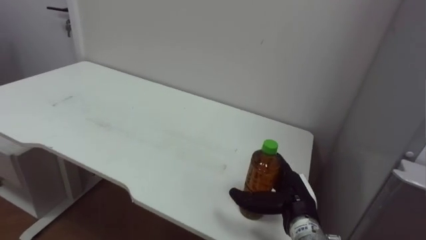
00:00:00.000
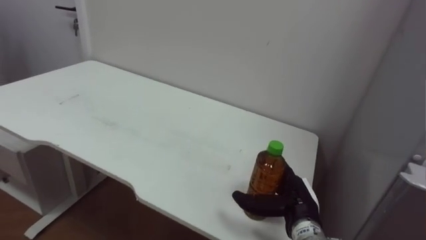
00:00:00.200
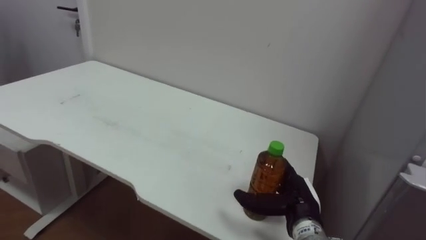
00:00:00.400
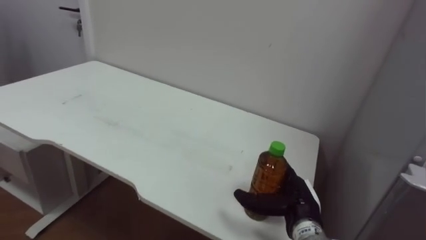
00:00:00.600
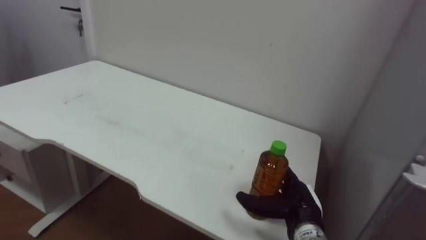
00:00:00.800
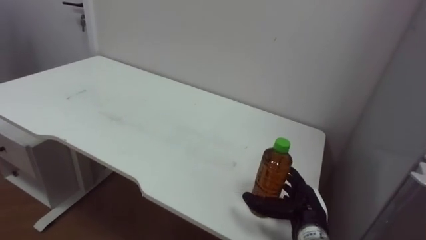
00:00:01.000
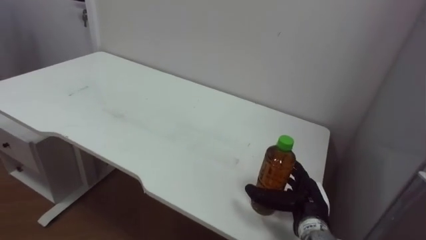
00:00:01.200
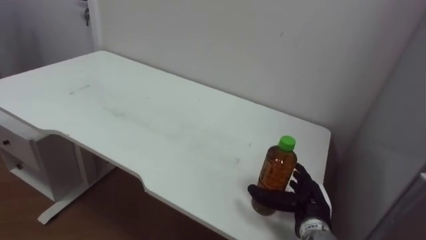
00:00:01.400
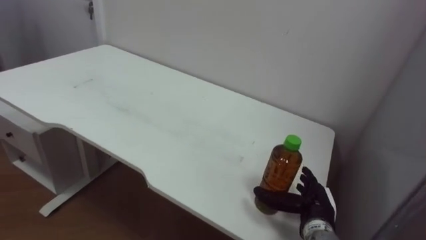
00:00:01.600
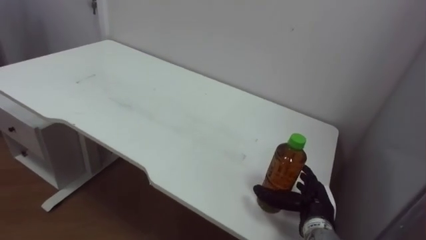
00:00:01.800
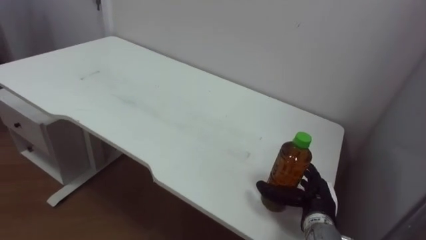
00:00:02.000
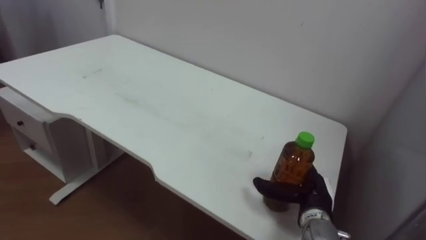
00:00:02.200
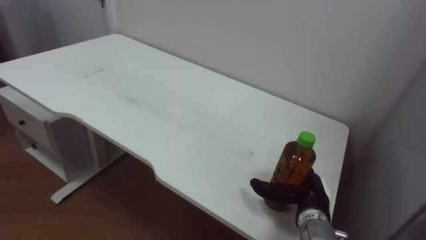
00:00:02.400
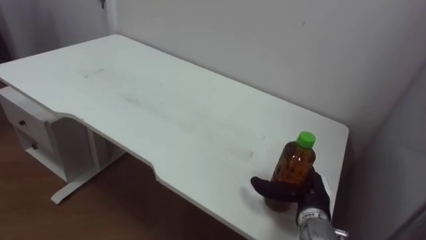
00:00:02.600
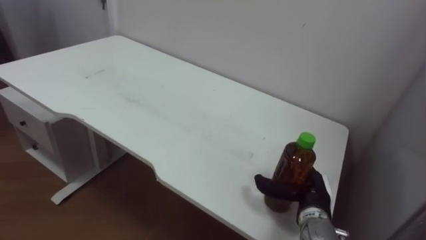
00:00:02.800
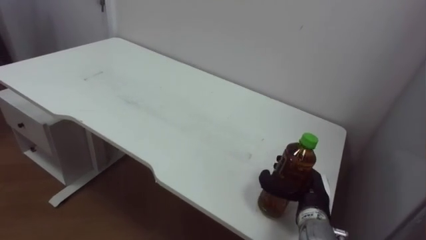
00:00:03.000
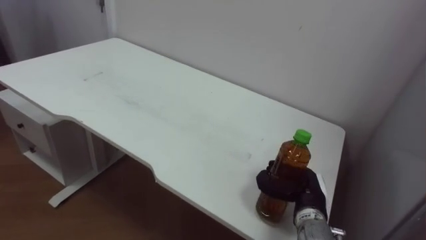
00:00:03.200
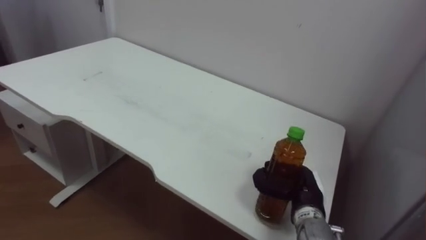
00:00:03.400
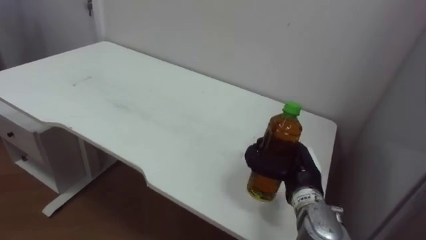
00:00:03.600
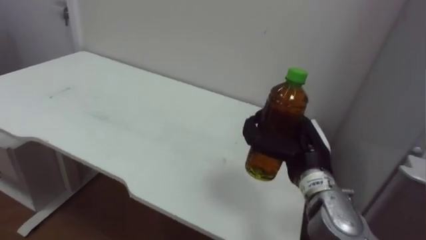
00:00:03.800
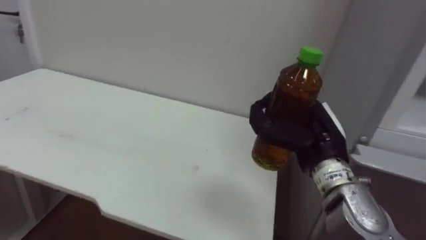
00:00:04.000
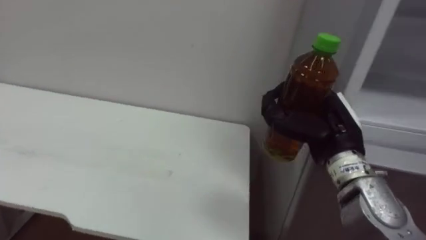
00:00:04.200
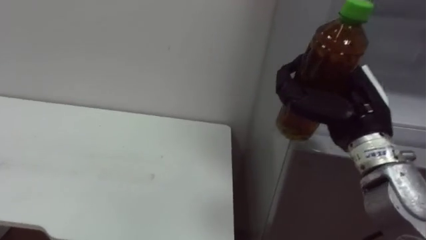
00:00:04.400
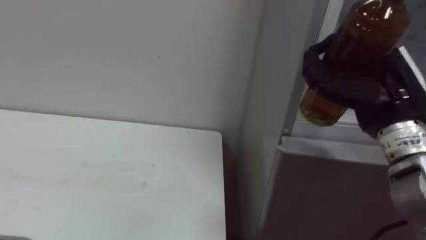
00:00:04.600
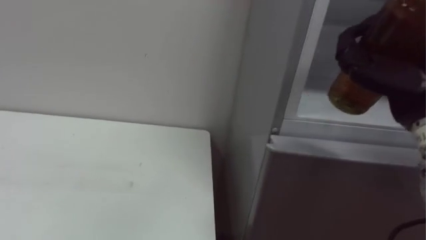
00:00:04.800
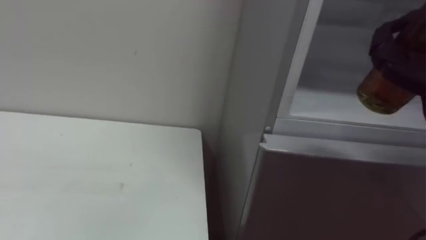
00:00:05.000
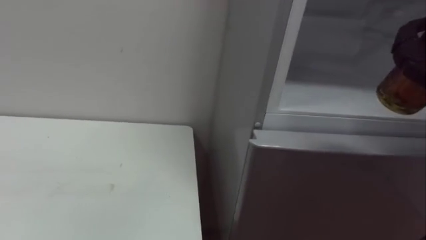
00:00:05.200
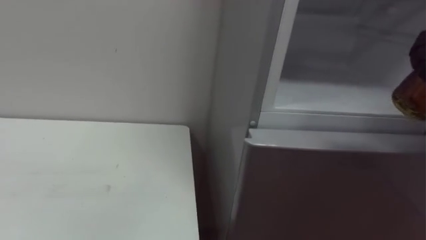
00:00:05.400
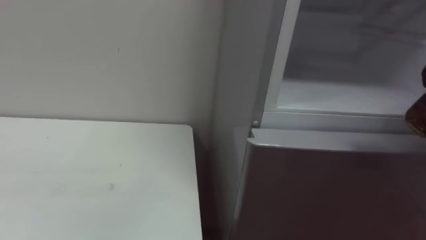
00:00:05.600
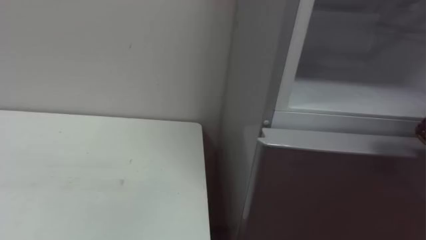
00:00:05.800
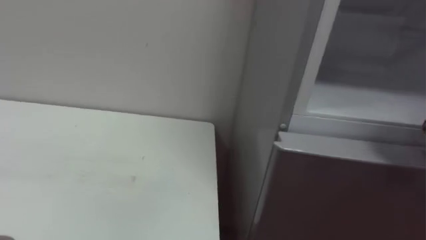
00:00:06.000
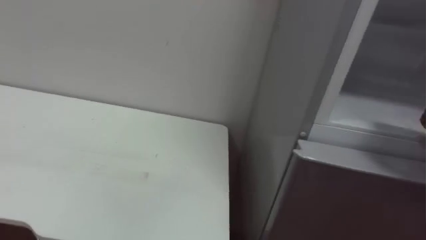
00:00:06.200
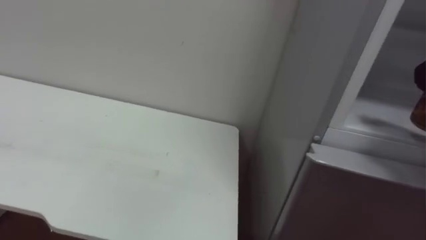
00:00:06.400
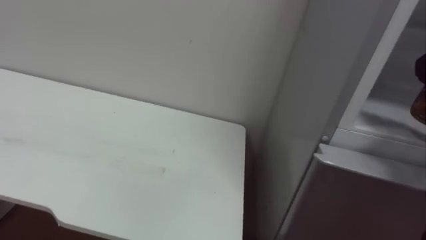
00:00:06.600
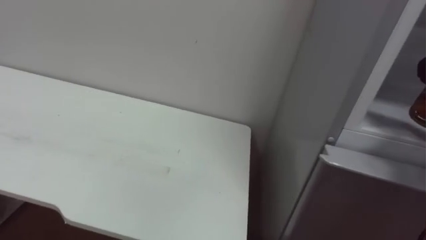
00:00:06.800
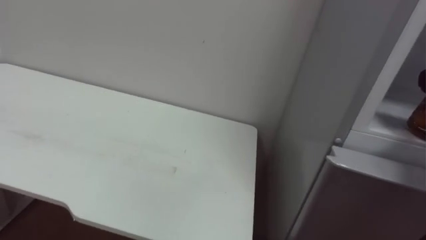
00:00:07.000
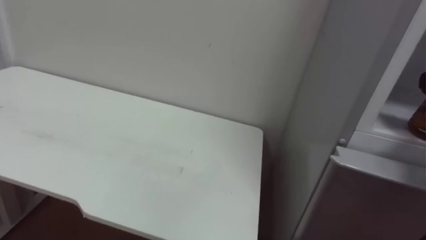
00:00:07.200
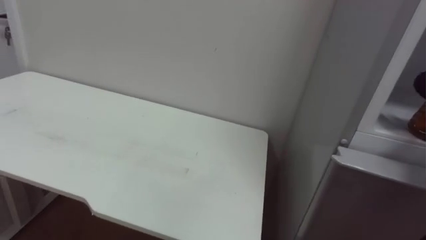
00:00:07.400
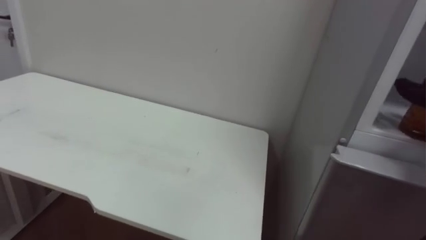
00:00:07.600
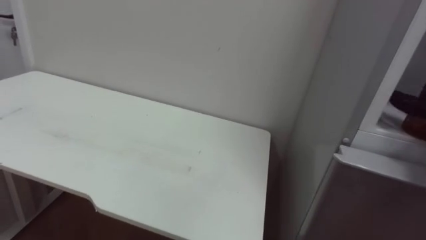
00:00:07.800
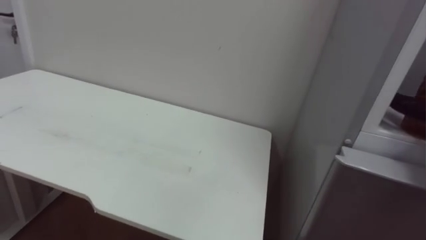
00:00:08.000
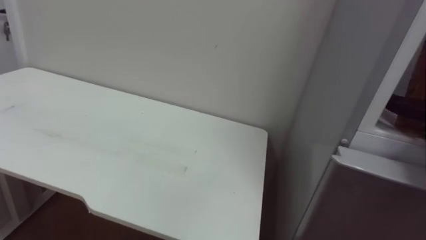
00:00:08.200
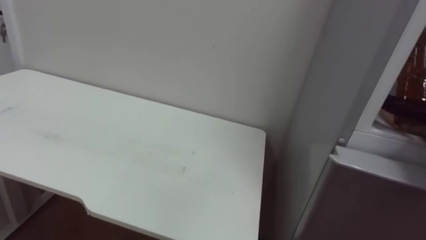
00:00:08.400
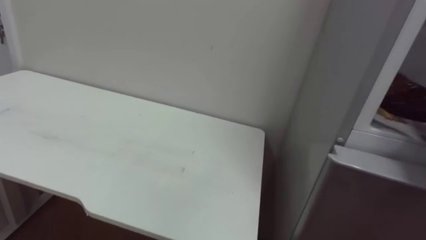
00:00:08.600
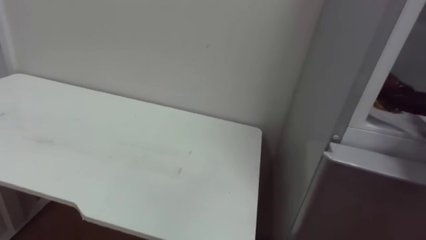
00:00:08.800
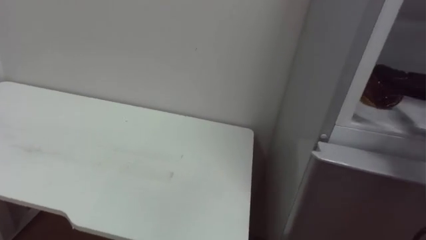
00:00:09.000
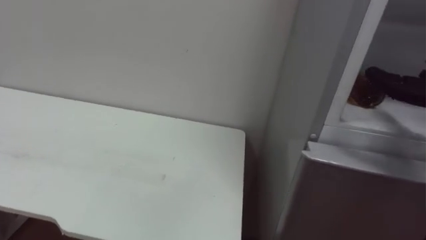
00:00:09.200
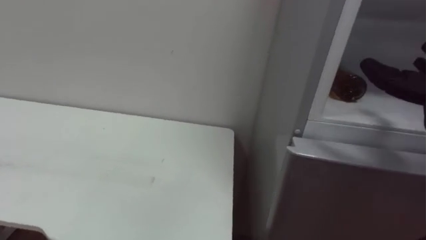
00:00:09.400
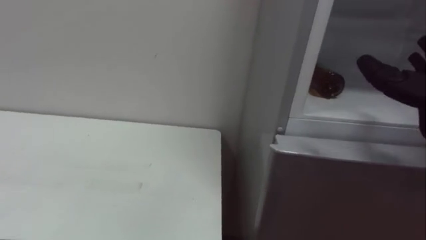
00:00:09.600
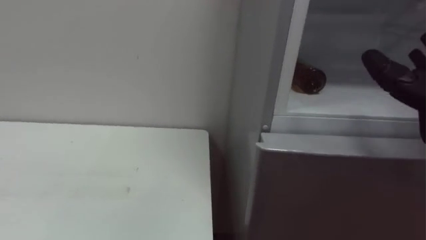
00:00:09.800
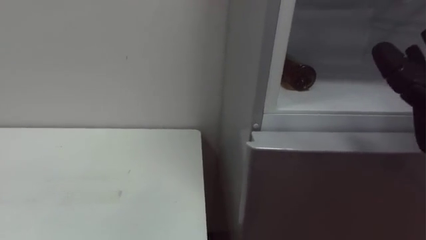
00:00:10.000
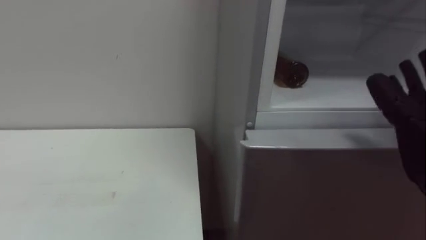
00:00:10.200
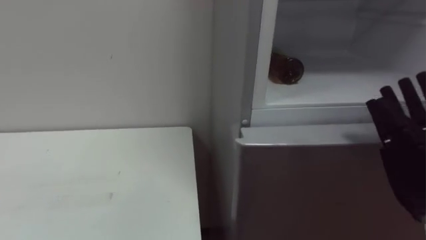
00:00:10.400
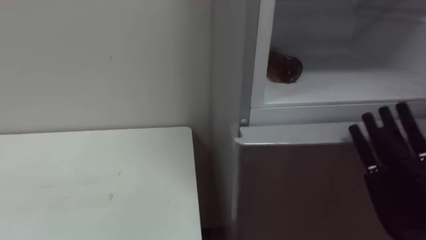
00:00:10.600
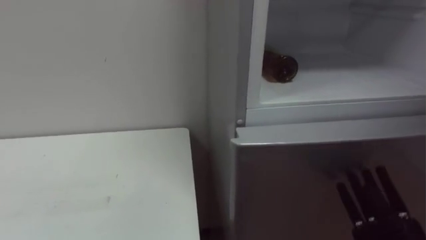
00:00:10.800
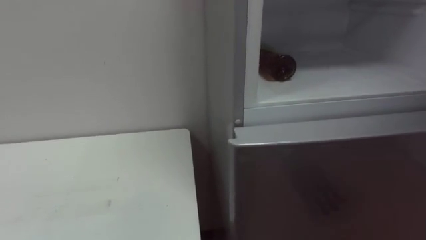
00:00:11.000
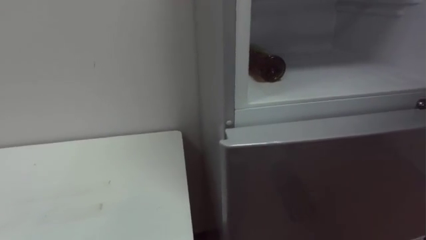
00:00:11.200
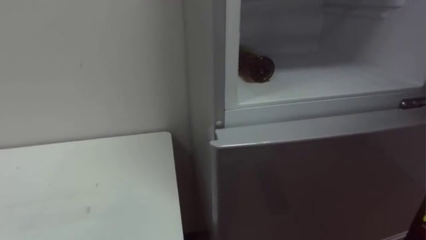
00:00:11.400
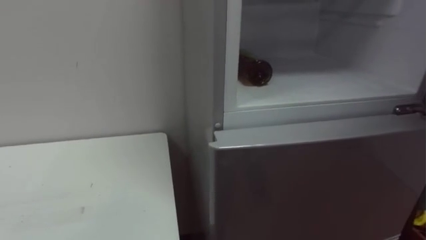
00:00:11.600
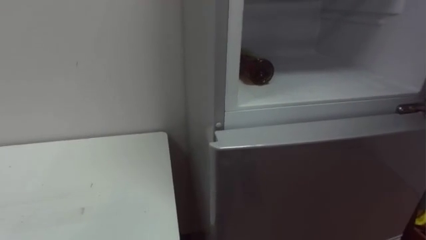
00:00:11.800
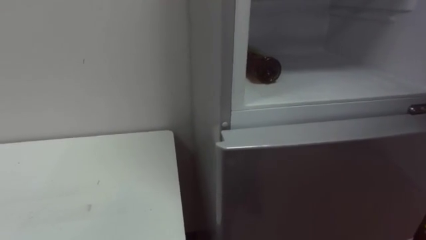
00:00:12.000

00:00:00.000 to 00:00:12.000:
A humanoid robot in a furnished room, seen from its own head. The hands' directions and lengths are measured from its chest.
Task of the whole recording: Open the upper refrigerator door, put the drink from the table into the refrigerator, and then close the refrigerator door.
00:00:03.000 to 00:00:04.400: The right hand moves upward, some 20 cm, and closes its fingers.

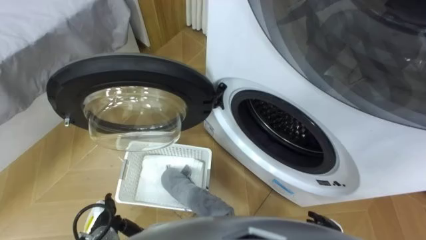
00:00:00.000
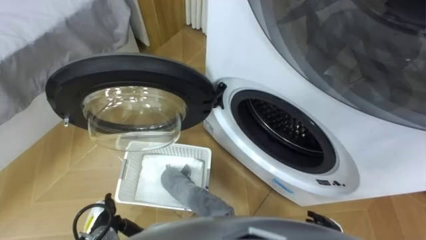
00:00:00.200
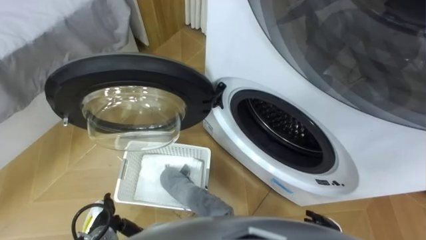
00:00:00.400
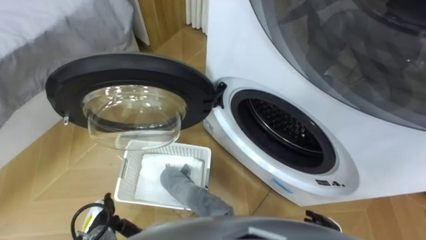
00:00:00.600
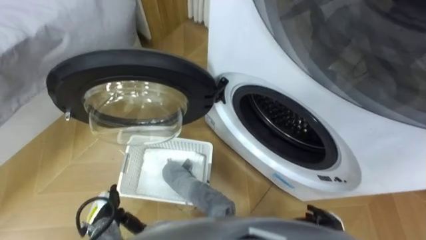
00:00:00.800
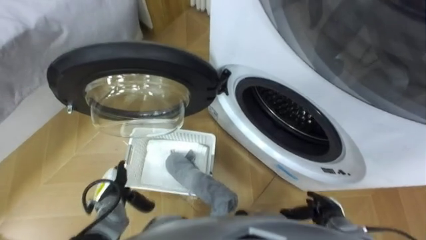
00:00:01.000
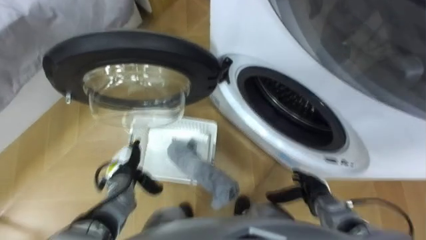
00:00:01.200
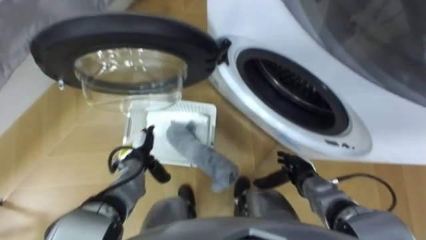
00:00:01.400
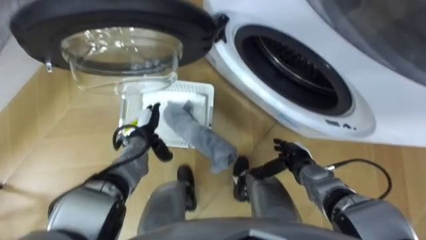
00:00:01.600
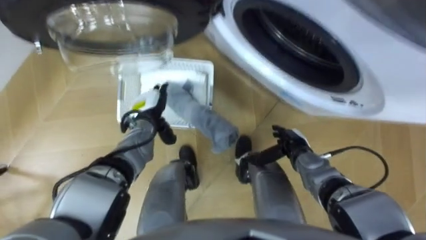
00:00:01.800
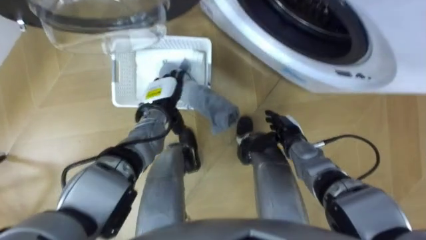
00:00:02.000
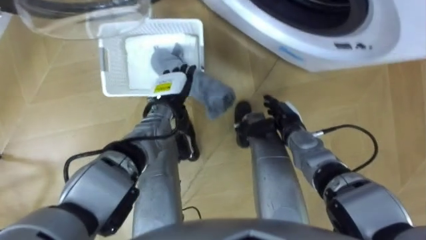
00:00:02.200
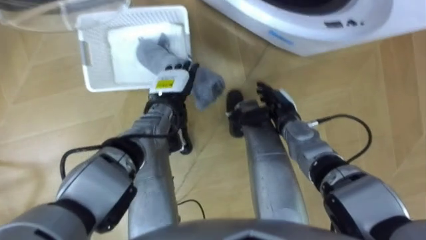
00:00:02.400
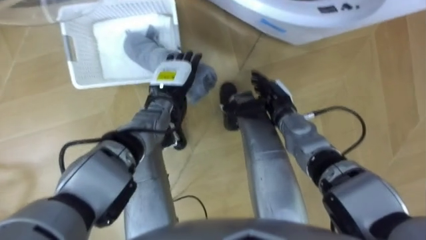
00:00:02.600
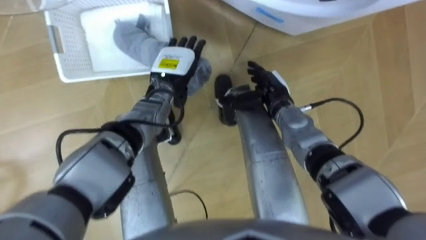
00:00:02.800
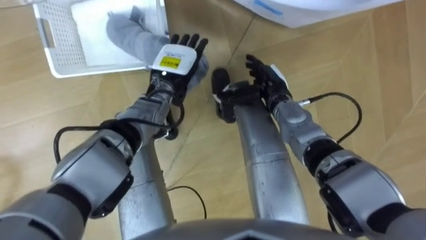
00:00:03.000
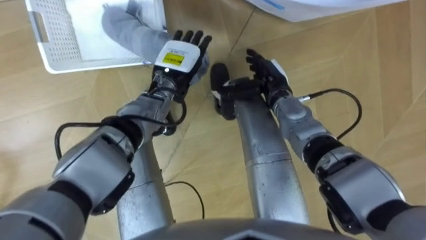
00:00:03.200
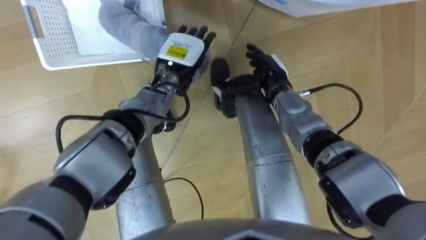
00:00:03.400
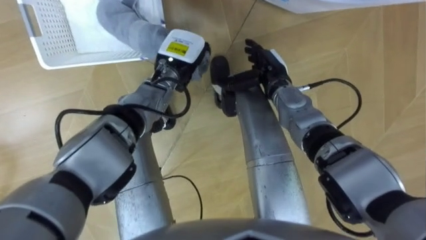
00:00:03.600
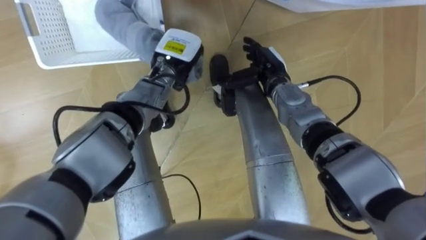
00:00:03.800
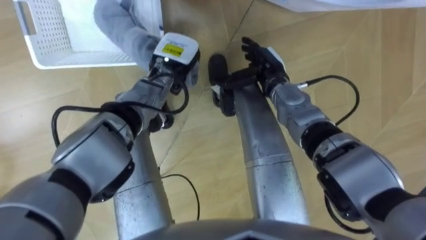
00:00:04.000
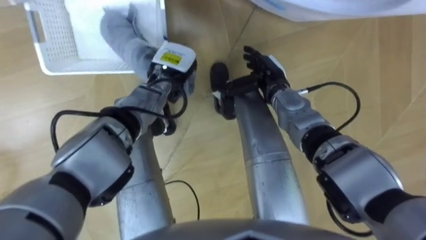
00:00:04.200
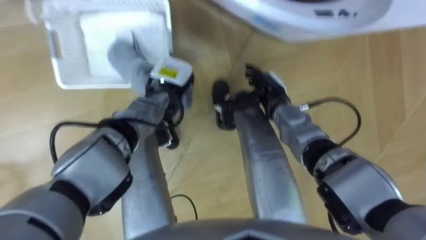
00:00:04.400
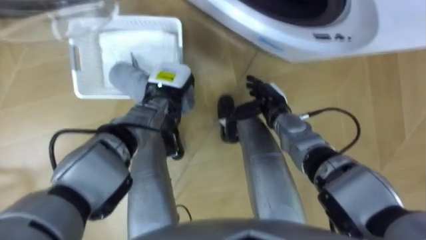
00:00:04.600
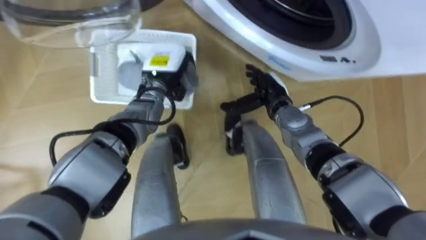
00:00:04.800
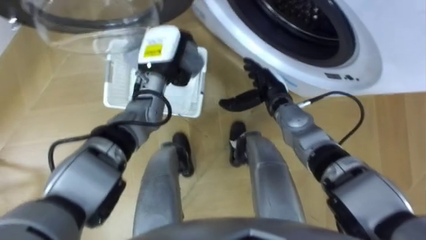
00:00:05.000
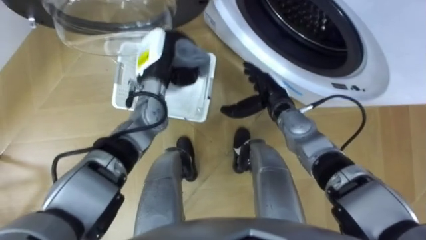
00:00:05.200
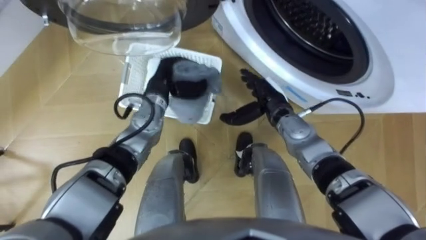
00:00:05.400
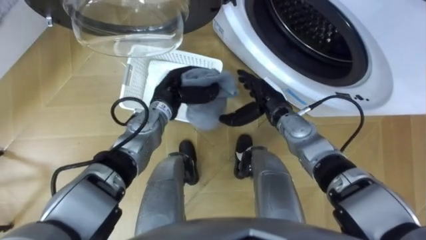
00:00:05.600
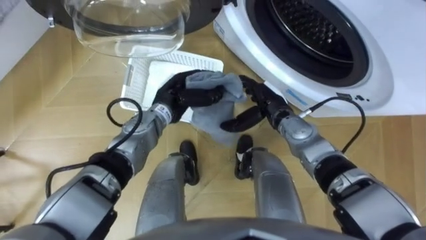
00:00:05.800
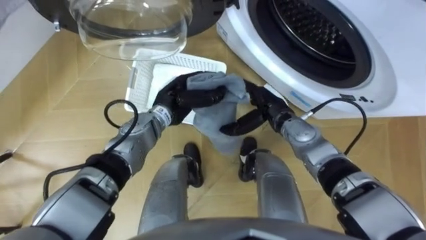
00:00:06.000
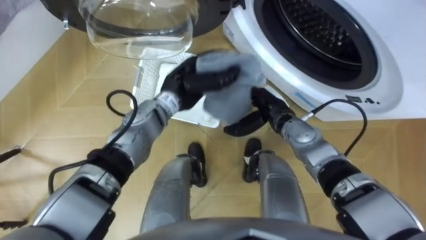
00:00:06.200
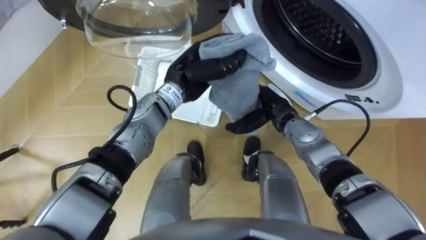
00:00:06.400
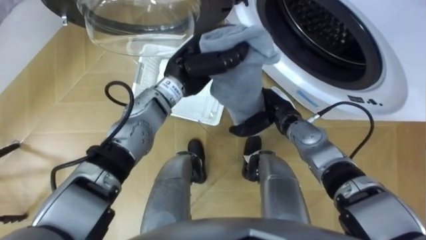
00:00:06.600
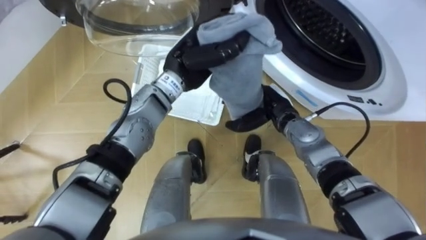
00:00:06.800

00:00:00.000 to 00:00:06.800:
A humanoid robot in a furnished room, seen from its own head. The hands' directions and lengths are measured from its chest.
Task of the whole recording: Take the towel from the basket and put it into the washing machine.
00:00:01.400 to 00:00:02.800: The left hand is displaced forward, upward and to the right by approximately 20 cm, while the right hand travels forward, upward and to the left by roughly 20 cm.
00:00:02.800 to 00:00:04.000: The right hand shifts by roughly 5 cm. Meanwhile the left hand closes up.
00:00:04.000 to 00:00:05.400: The right hand shifts by approximately 5 cm, while the left hand swings up and down, approximately 5 cm each way, with 2 reversals.
00:00:05.400 to 00:00:06.800: The left hand heads upward and to the right, covering about 10 cm.
